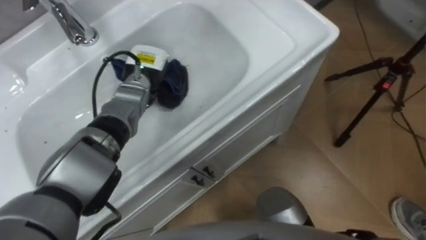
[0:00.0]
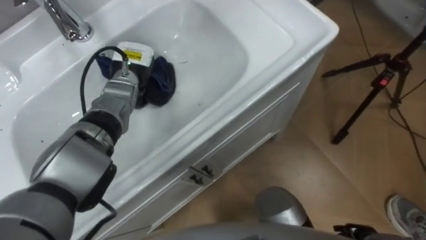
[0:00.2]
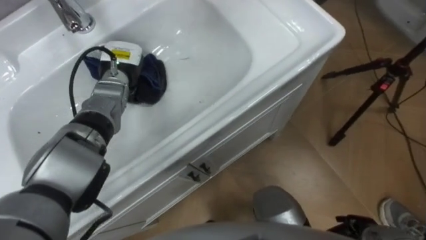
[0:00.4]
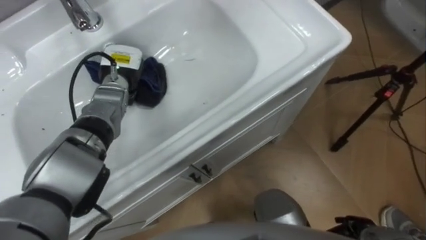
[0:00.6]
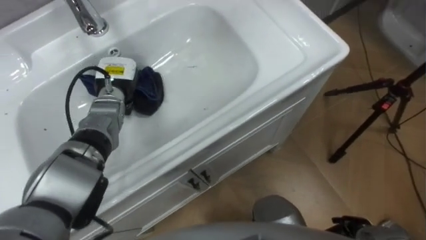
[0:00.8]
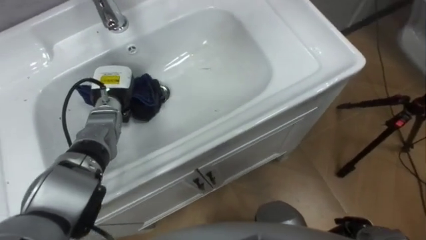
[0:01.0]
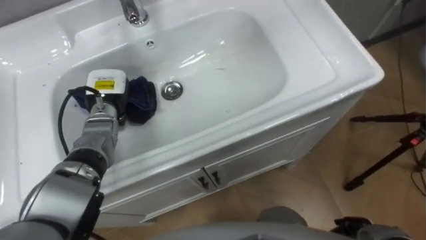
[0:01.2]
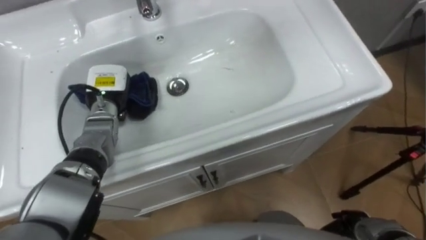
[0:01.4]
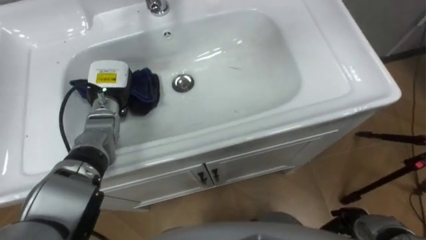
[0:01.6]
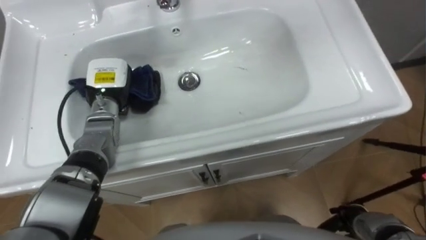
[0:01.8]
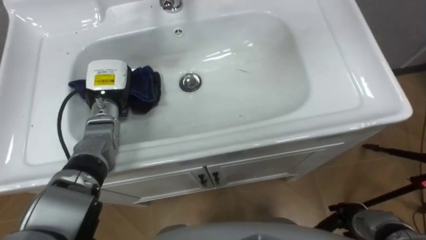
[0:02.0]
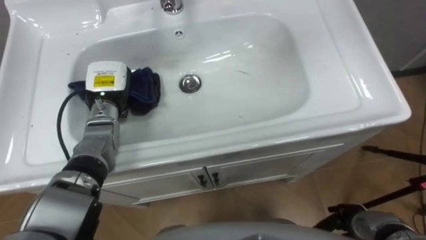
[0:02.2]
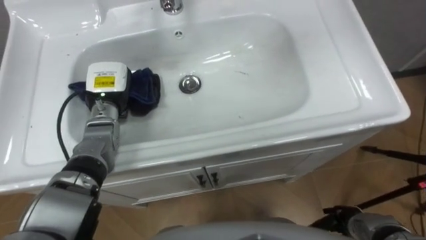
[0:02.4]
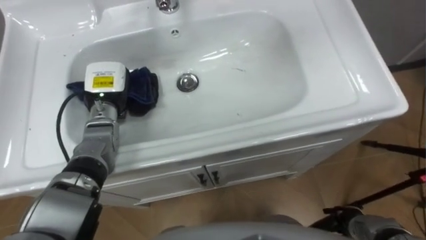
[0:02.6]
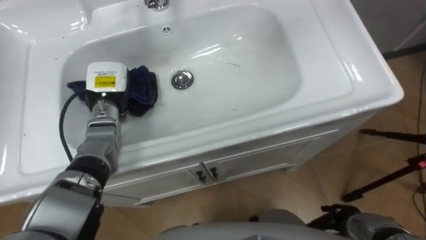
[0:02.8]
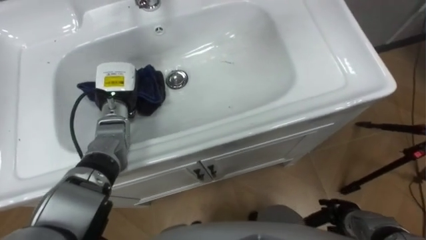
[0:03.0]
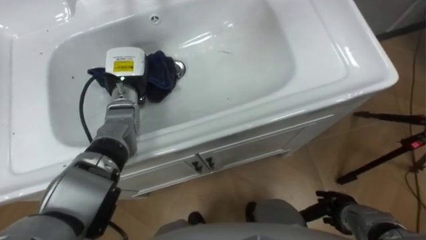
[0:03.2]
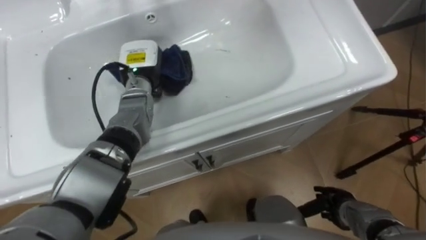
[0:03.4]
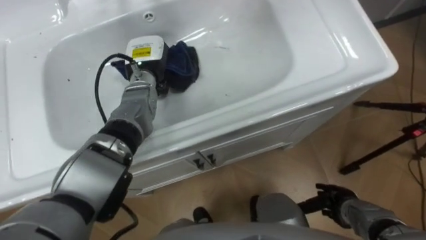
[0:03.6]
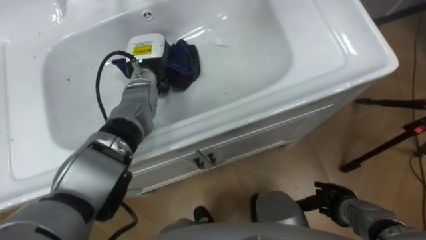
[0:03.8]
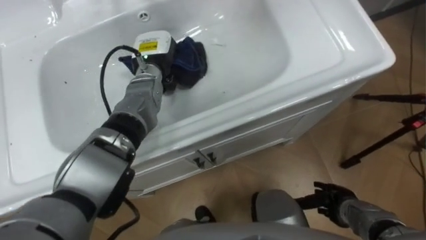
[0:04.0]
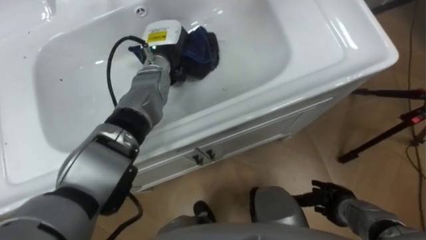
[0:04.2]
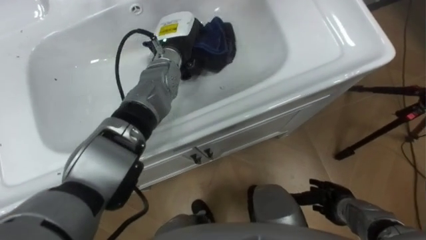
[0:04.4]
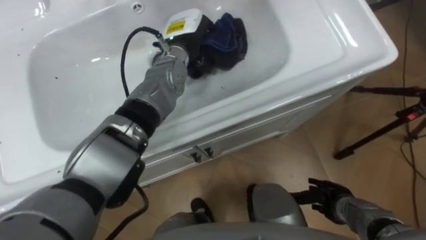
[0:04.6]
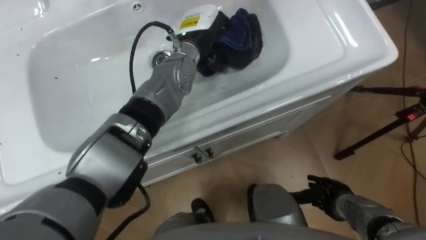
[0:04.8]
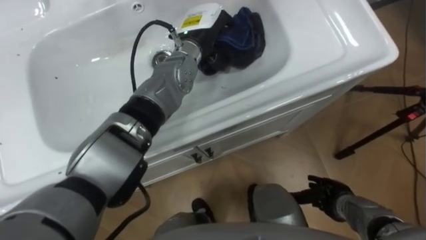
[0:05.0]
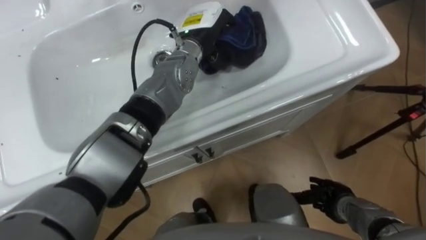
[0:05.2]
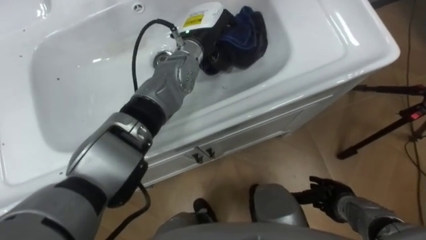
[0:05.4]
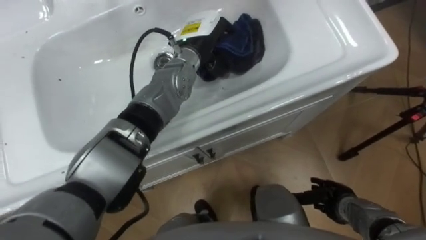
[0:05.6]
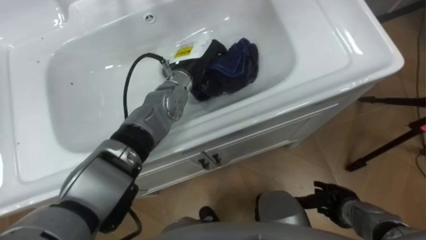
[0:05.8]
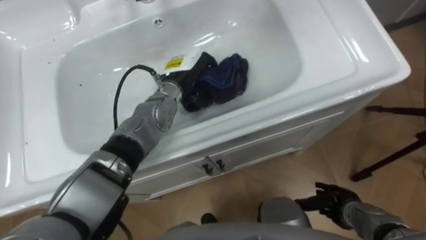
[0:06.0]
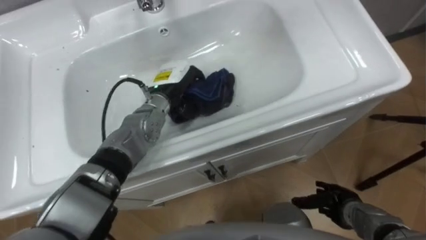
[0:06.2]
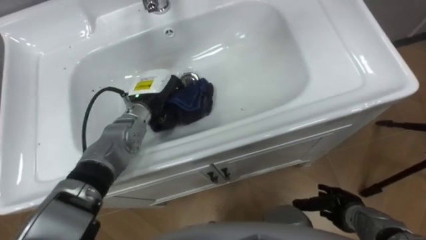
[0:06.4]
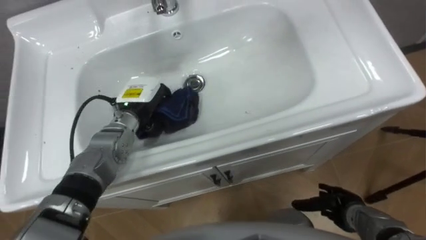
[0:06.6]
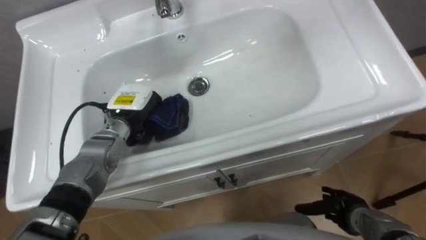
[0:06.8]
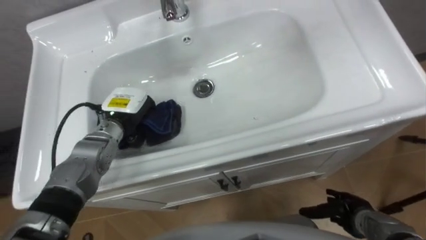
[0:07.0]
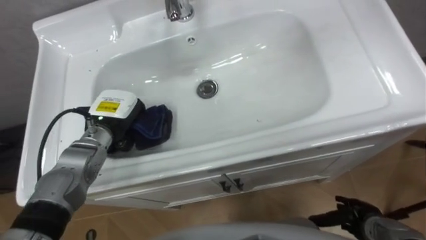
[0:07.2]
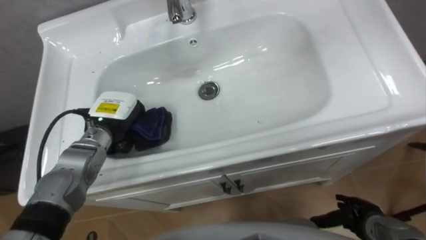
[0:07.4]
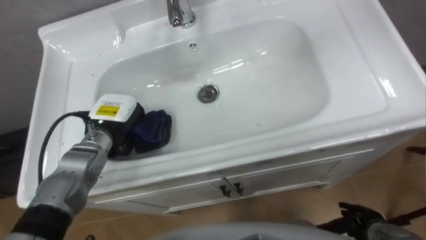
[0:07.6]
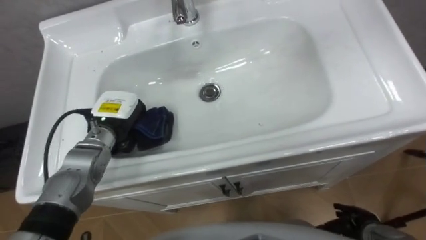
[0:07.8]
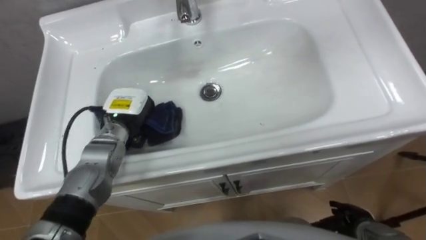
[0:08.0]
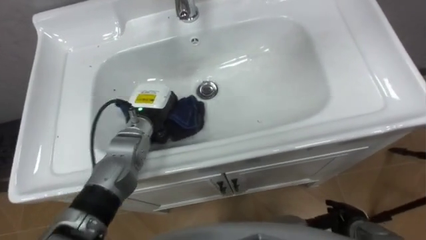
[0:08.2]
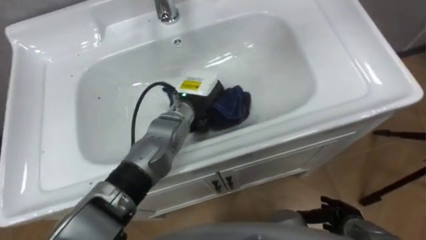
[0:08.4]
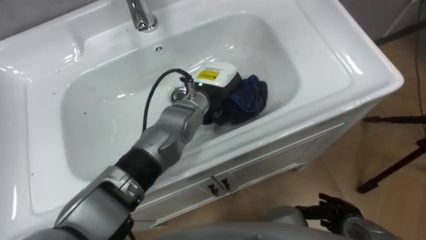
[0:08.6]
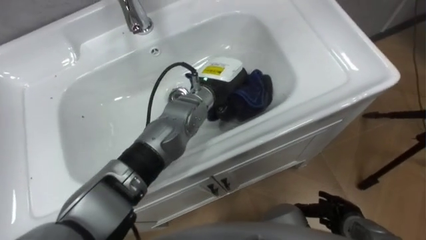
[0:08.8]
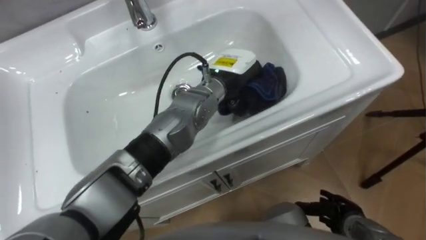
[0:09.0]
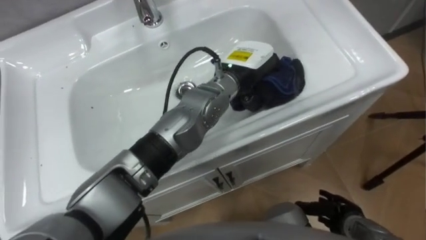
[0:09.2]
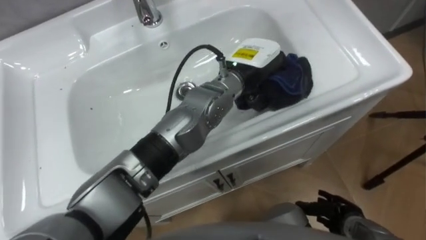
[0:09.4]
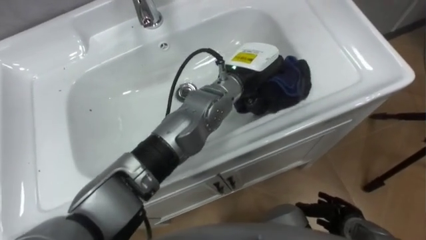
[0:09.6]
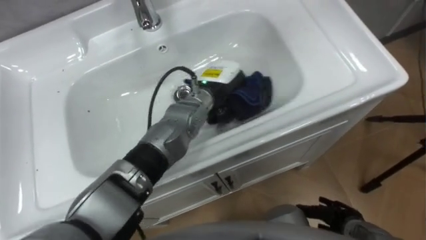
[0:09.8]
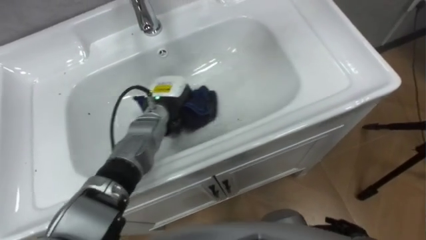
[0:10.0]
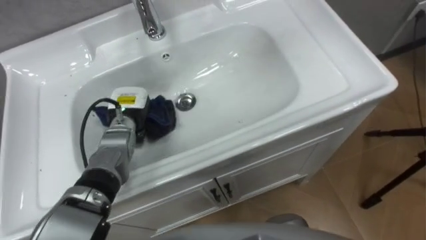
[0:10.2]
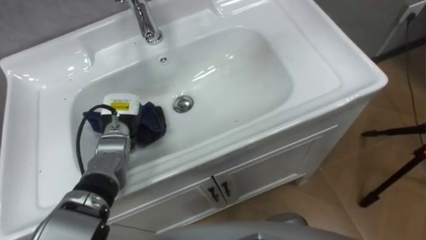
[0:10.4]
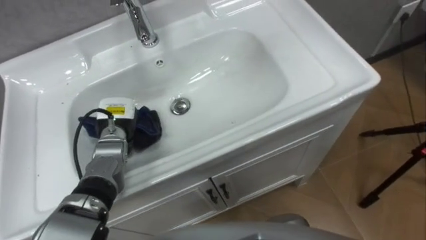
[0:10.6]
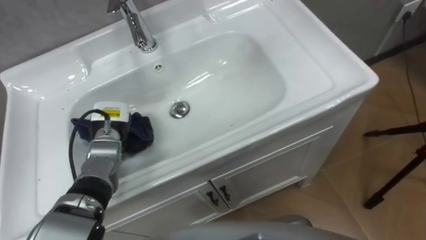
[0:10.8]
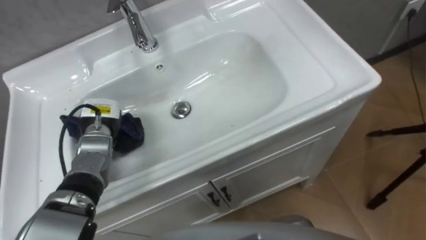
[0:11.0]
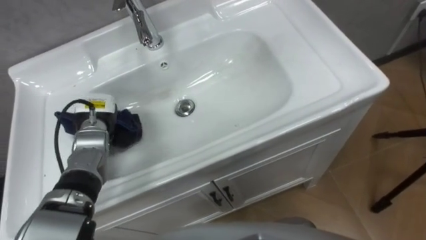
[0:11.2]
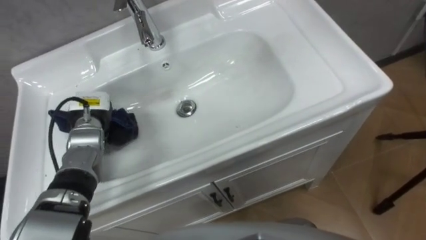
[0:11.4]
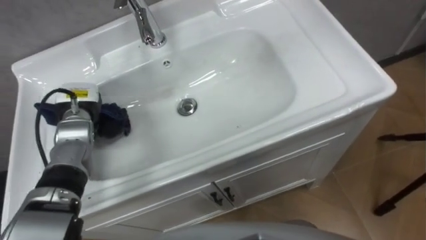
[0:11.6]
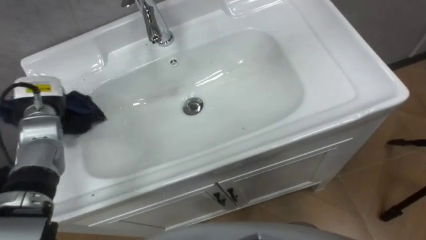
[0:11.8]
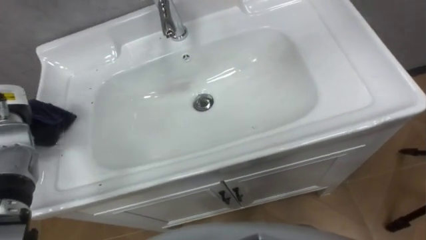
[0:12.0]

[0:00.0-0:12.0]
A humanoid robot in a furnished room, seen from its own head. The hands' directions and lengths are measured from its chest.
Task of the whole recording: Use the cloth on the right to wipe away the black stain in the sink.
0:00.0 to 0:01.6: The left hand travels to the left by roughly 10 cm.
0:03.0 to 0:04.4: The left hand travels to the right, upward and forward by about 20 cm.
0:04.4 to 0:06.0: The left hand travels backward and downward by roughly 5 cm.
0:06.0 to 0:07.6: The left hand moves to the left and backward, about 15 cm. The right hand shifts by some 5 cm.
0:07.6 to 0:09.0: The left hand is displaced to the right by approximately 25 cm.
0:09.0 to 0:10.4: The left hand moves to the left and downward, some 25 cm.

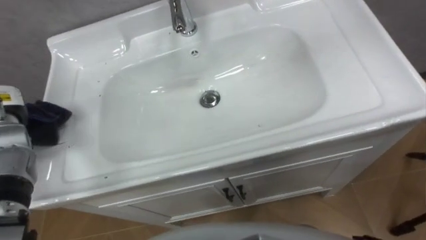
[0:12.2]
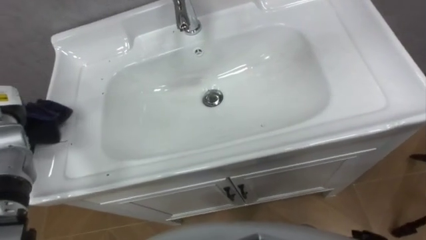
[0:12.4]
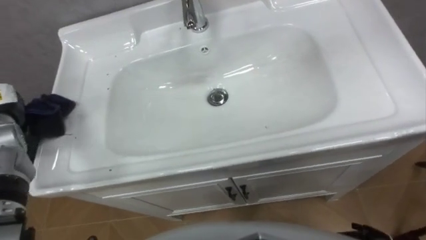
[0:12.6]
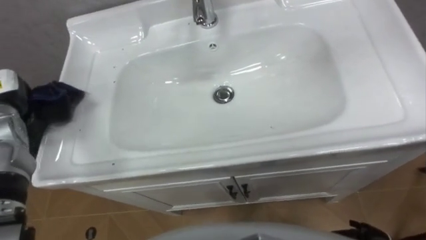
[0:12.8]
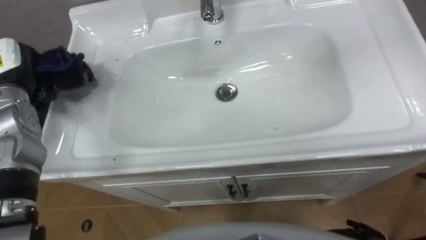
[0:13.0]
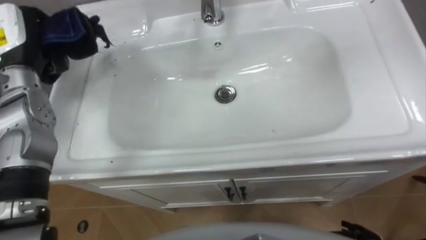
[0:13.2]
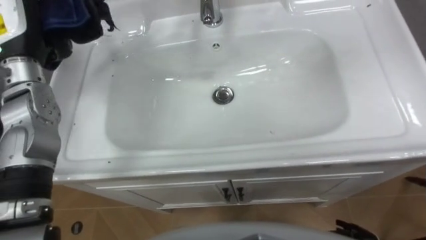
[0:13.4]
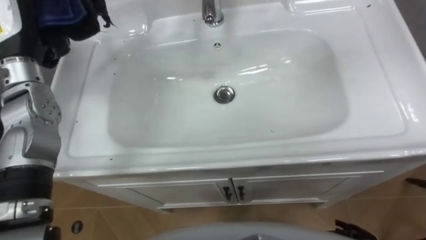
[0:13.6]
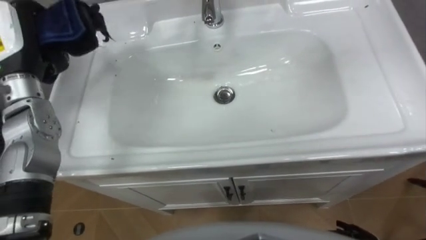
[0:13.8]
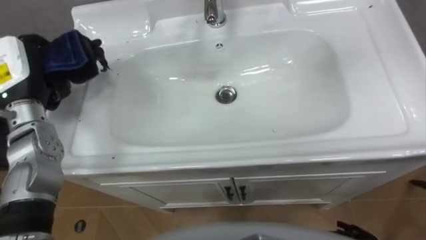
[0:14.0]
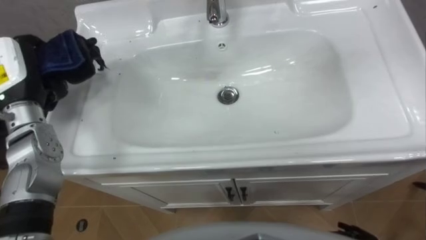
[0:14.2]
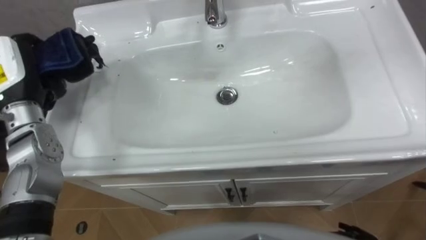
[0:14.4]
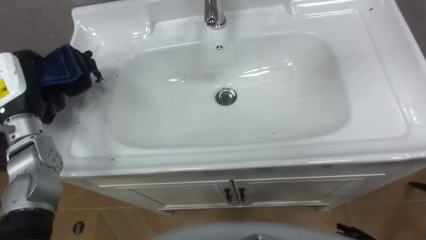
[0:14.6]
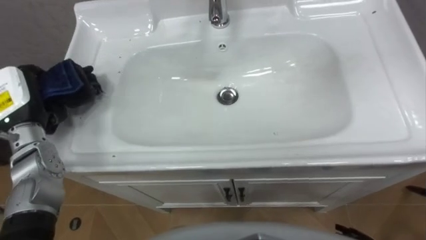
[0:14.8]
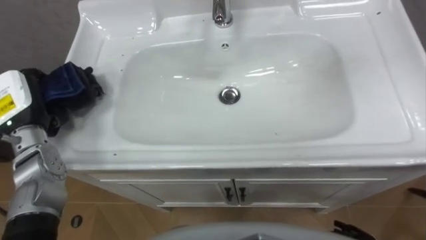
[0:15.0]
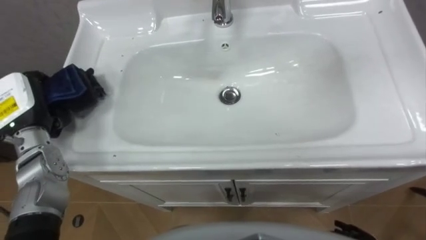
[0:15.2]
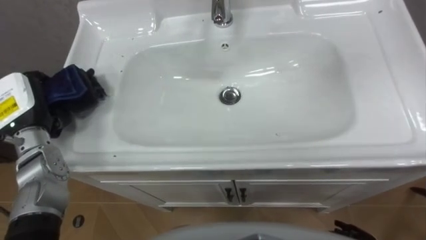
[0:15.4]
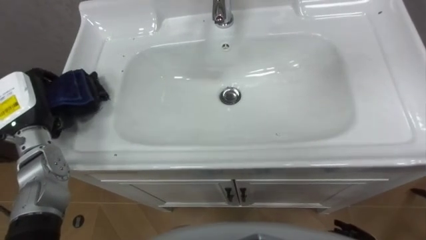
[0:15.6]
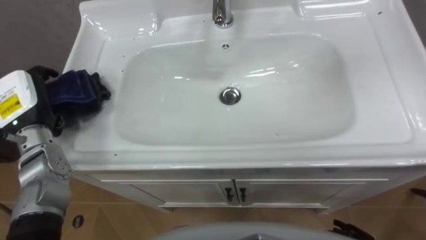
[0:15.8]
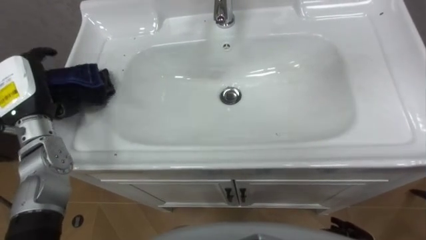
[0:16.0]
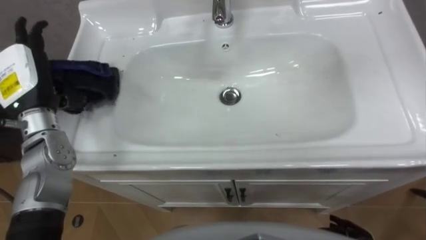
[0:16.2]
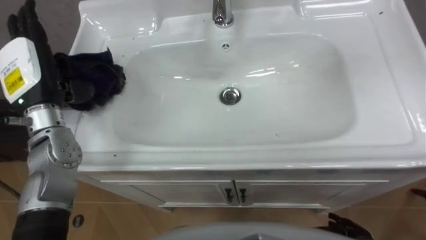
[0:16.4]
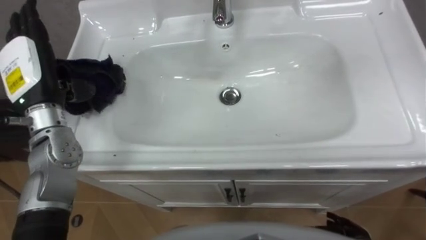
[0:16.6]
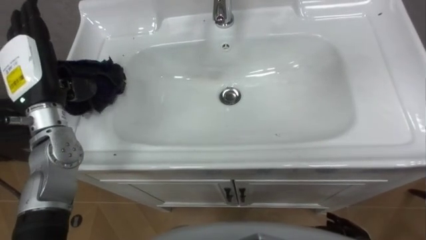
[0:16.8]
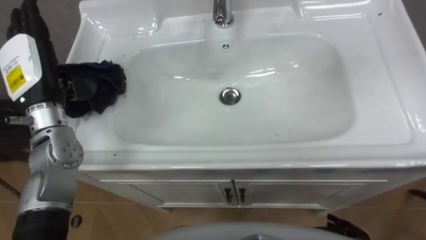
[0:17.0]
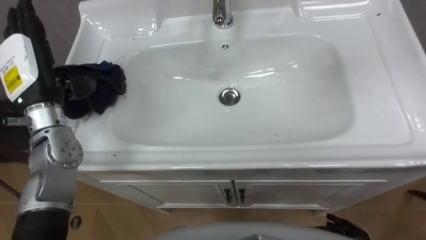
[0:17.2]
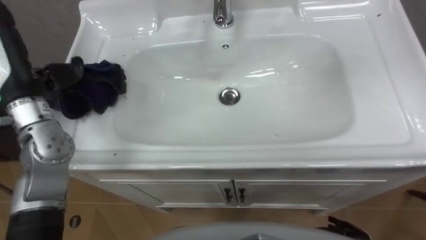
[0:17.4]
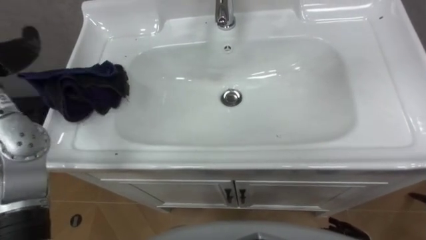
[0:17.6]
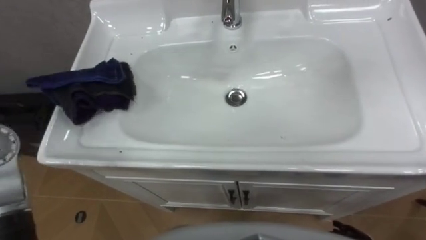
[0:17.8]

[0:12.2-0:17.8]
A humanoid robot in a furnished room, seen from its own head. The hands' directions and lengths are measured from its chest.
Task of the whole recording: Use the cloth on the right to wipe away the black stain in the sink.
0:13.6 to 0:15.0: The left hand heads downward and backward, covering approximately 15 cm.
0:15.0 to 0:16.4: The left hand ends up approximately 5 cm from where it was, and opens its fingers.
